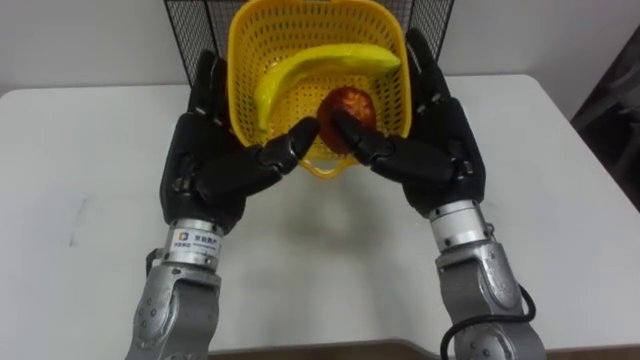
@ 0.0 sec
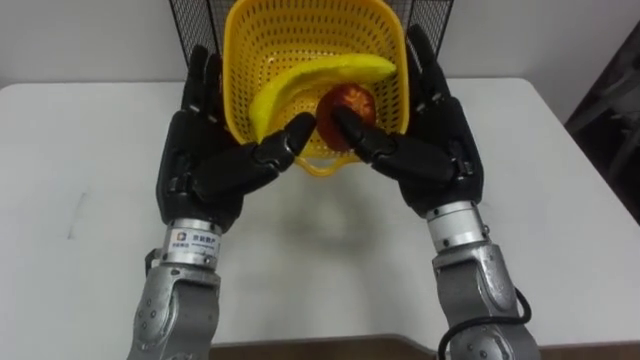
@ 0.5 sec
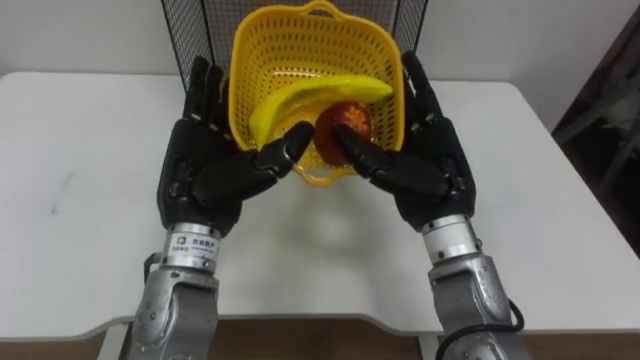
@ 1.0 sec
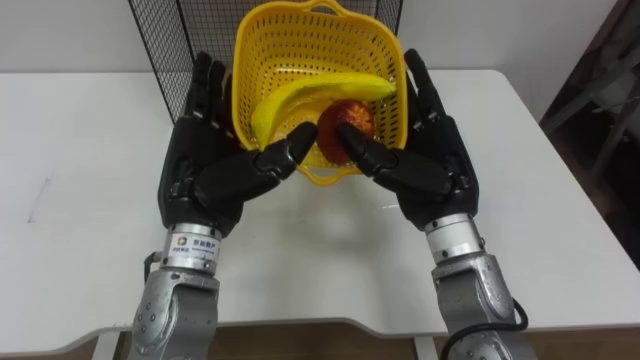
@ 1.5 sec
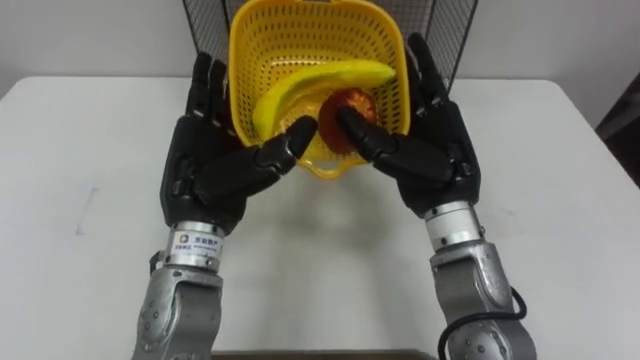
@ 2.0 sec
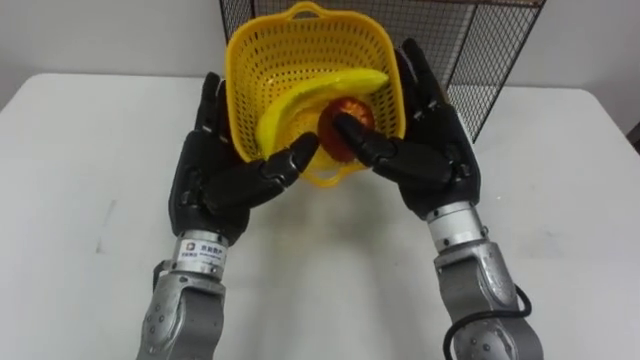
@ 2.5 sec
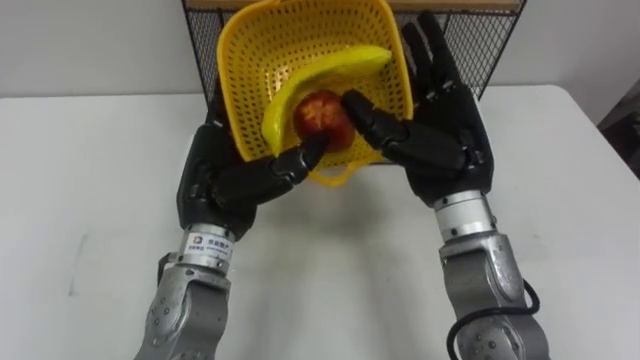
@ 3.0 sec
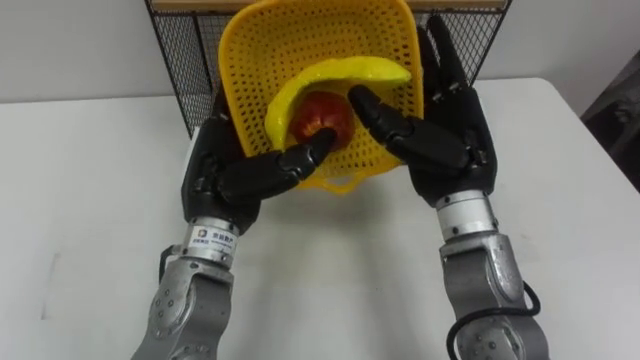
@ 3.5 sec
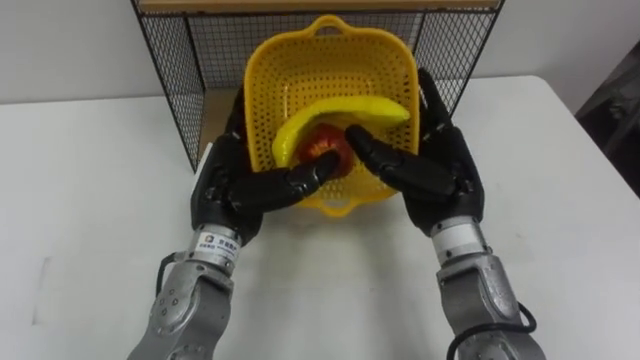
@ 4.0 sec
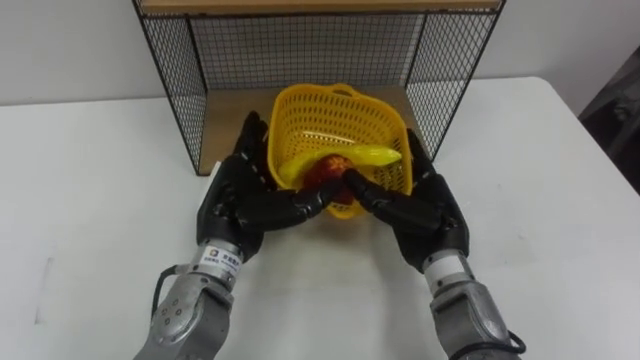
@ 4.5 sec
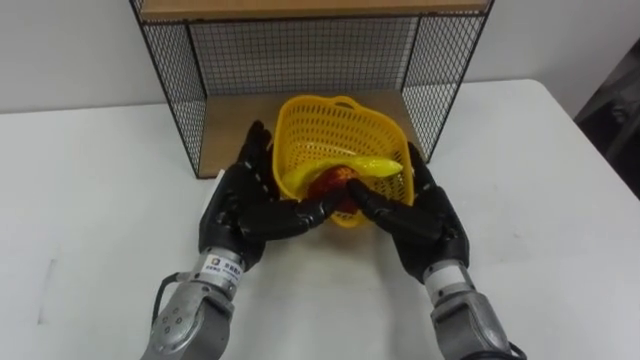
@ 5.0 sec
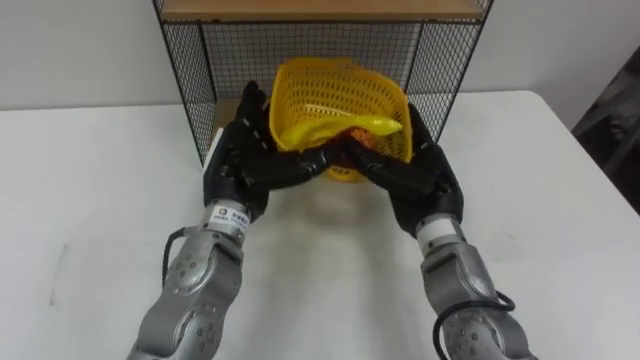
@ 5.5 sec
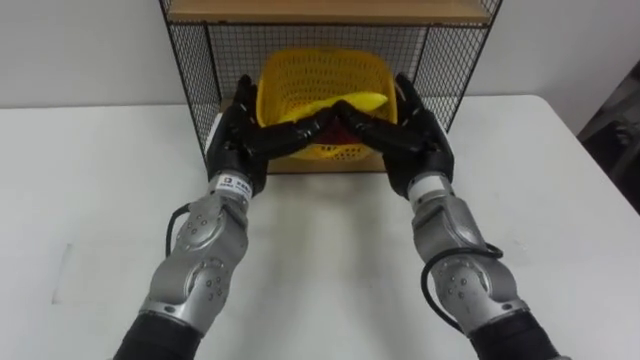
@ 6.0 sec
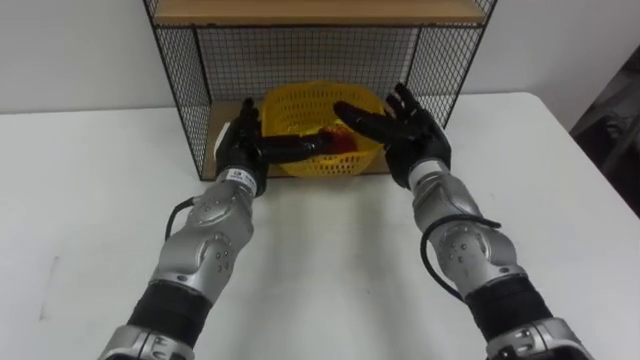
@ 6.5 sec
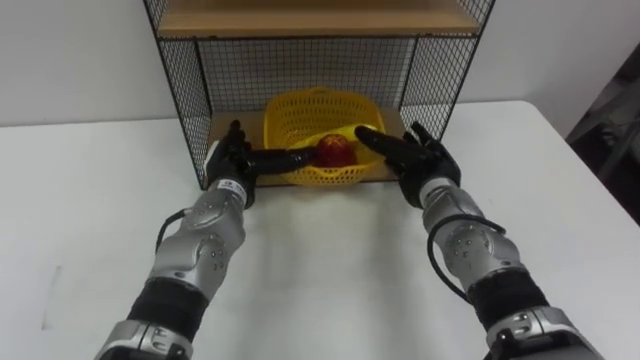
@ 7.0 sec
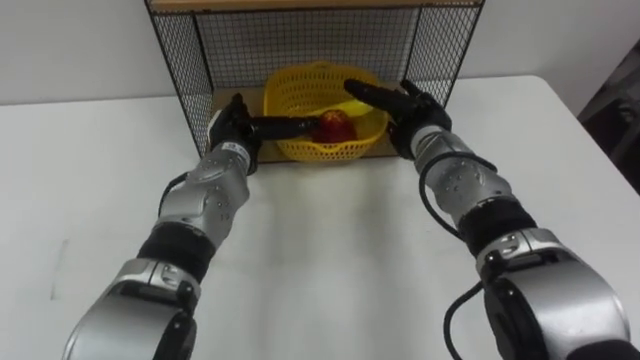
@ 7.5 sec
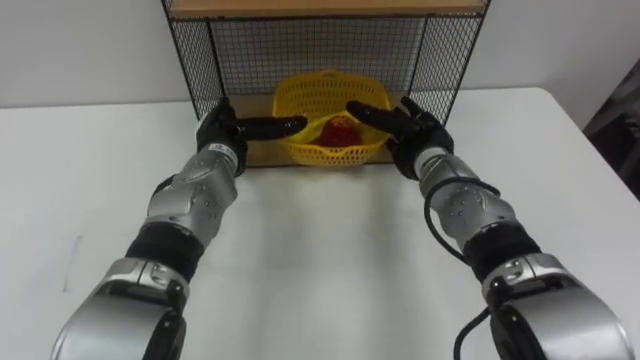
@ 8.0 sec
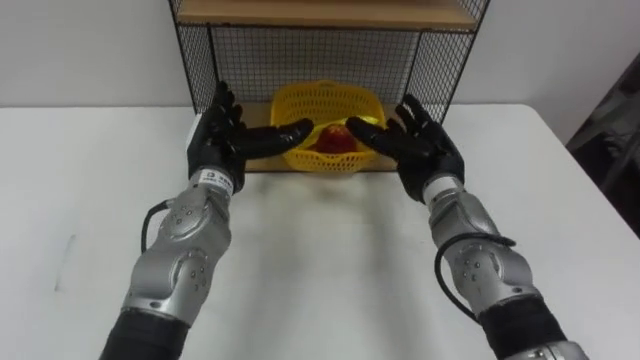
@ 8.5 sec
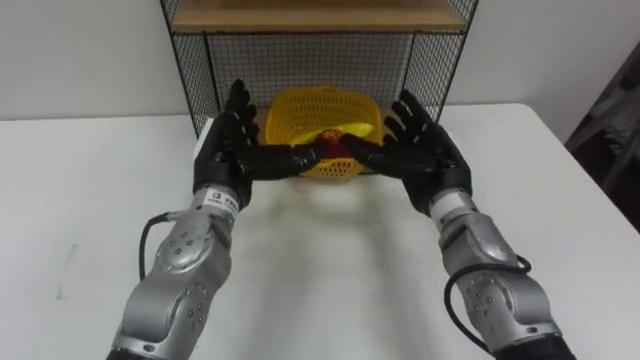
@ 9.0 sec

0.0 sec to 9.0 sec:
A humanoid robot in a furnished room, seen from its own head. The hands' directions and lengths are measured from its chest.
Task of the whole recording: Put the fruit on the table into the basket, then place the basket on the shelf.
2.0 sec to 4.5 sec: Both hands travel together downward, roughly 10 cm.
4.5 sec to 7.0 sec: Both hands move forward, some 10 cm.
7.0 sec to 9.0 sec: The left hand shifts approximately 5 cm upward, while the right hand changes place by approximately 5 cm.

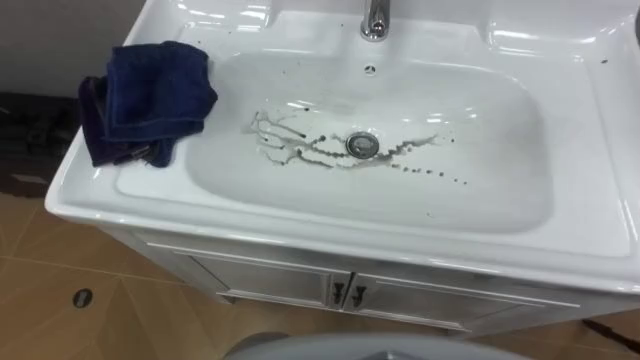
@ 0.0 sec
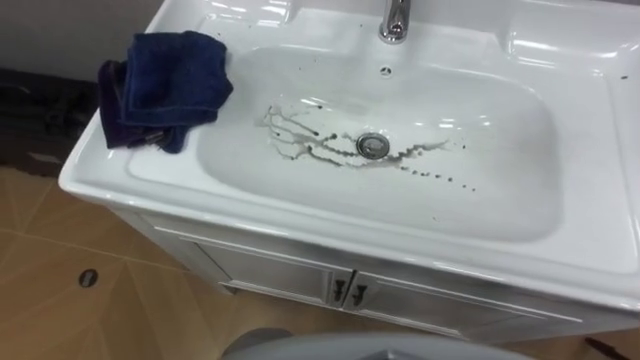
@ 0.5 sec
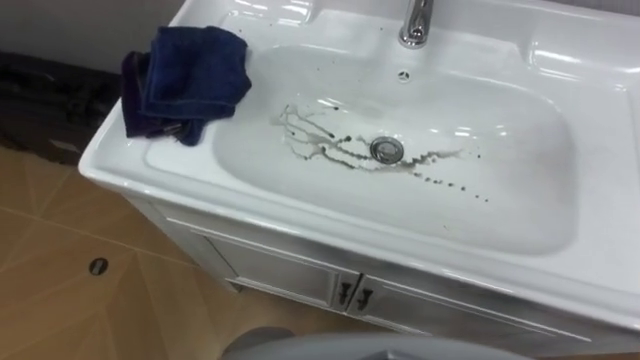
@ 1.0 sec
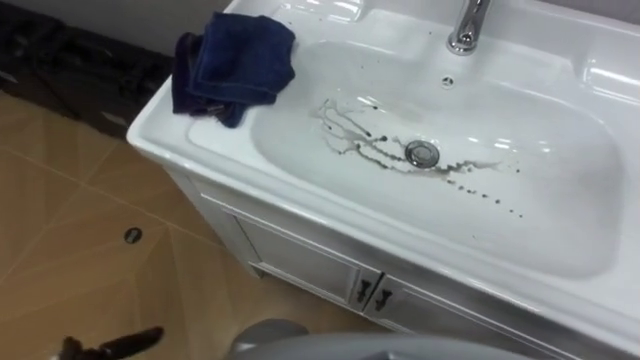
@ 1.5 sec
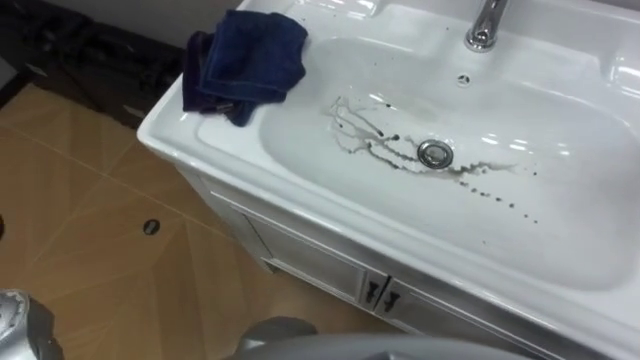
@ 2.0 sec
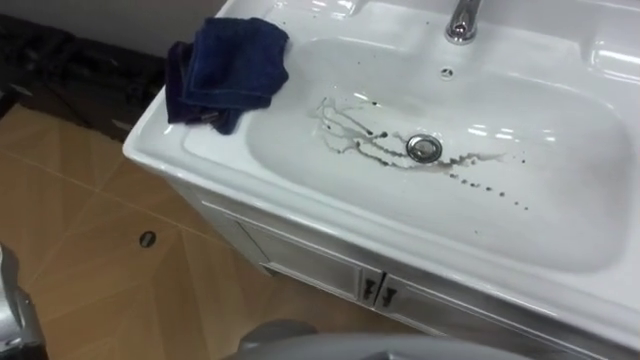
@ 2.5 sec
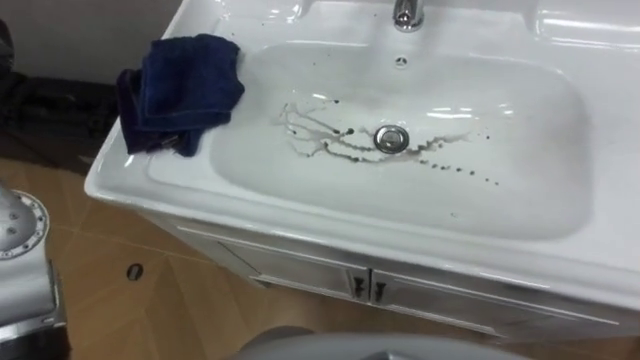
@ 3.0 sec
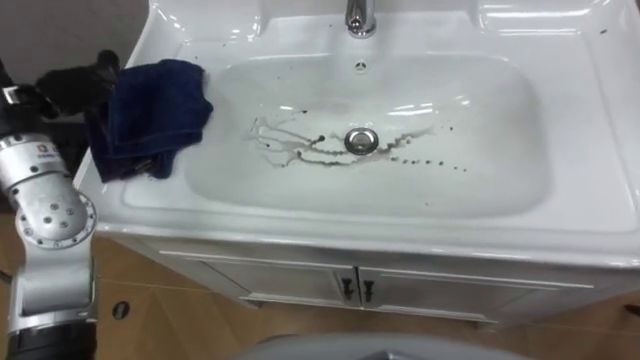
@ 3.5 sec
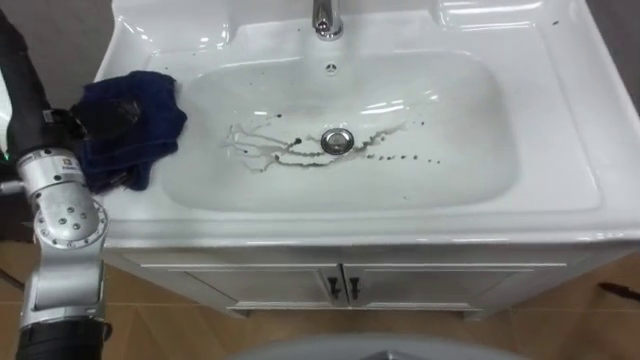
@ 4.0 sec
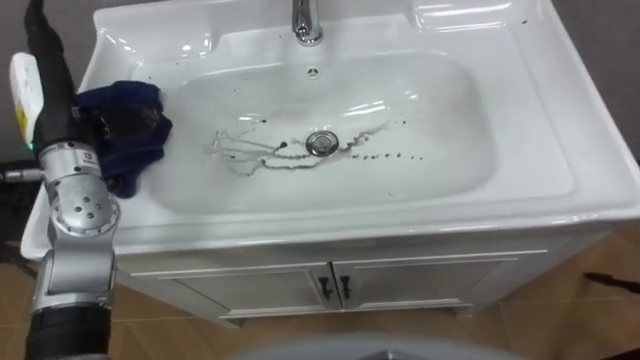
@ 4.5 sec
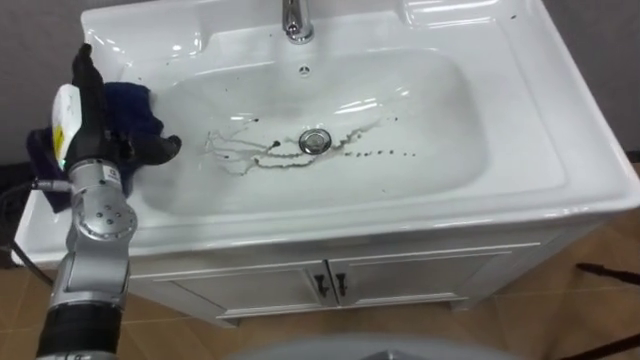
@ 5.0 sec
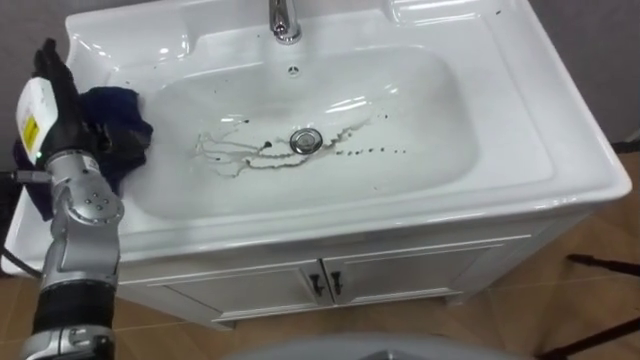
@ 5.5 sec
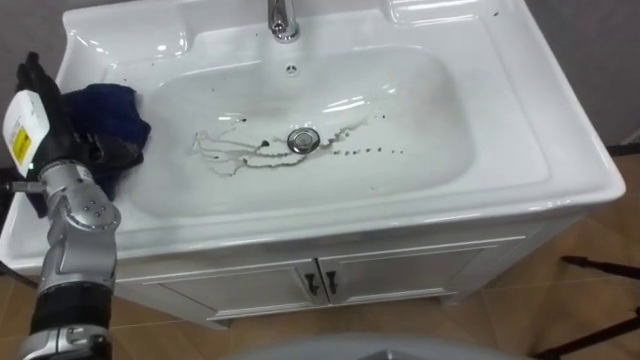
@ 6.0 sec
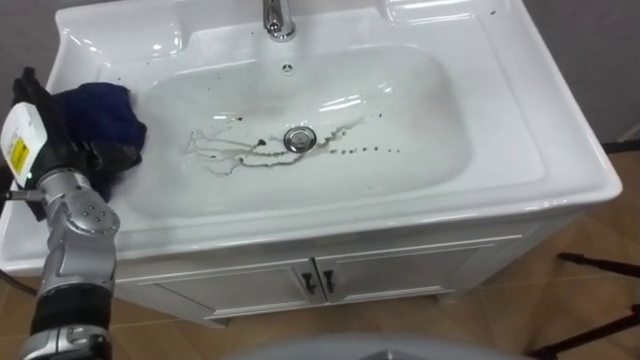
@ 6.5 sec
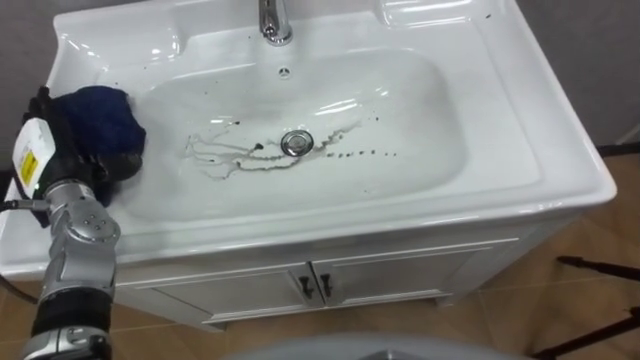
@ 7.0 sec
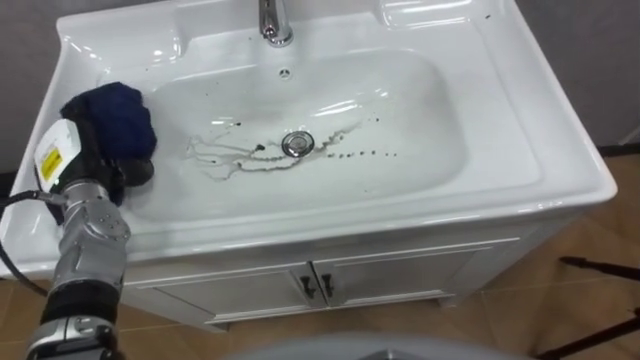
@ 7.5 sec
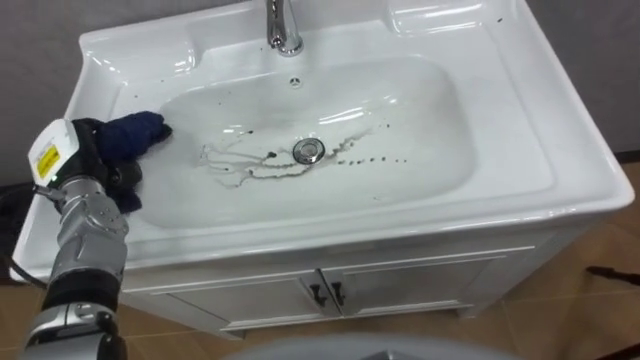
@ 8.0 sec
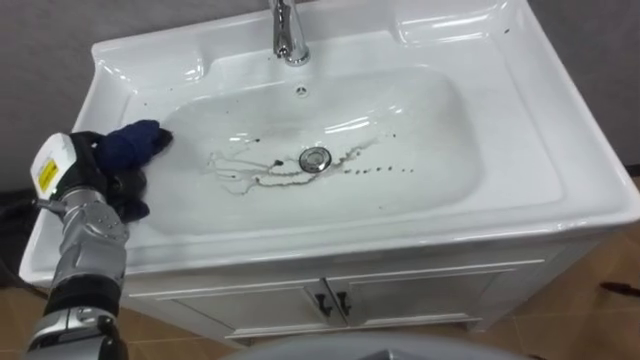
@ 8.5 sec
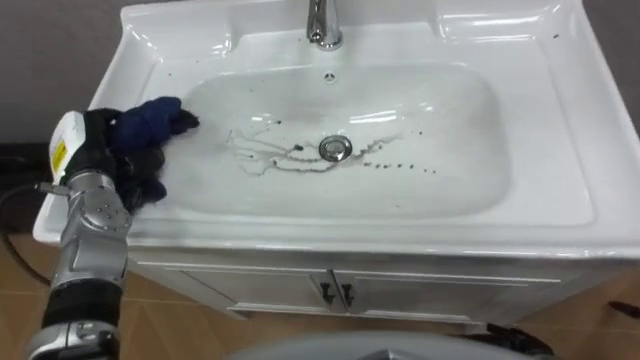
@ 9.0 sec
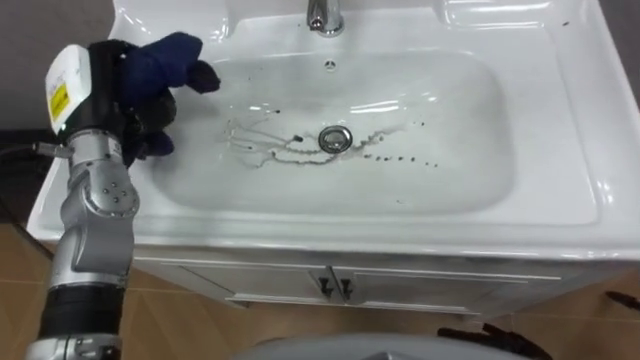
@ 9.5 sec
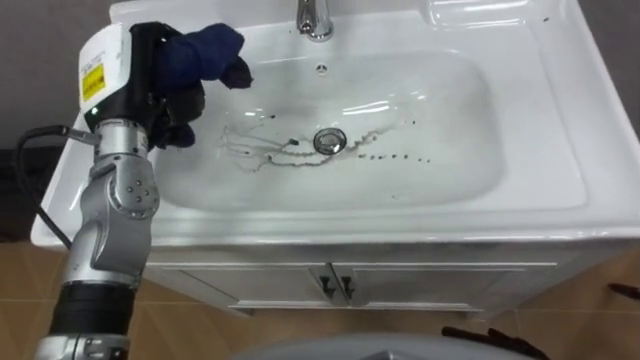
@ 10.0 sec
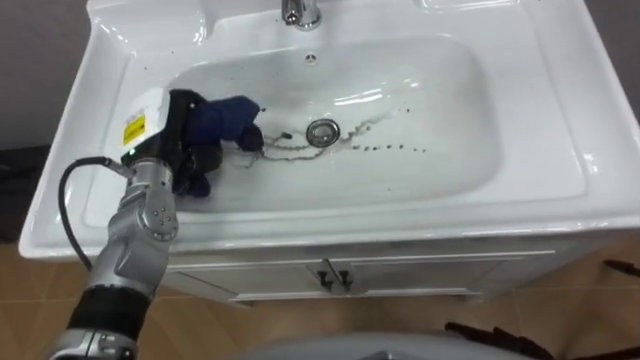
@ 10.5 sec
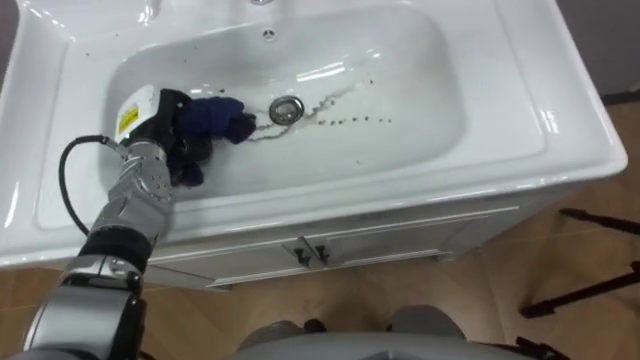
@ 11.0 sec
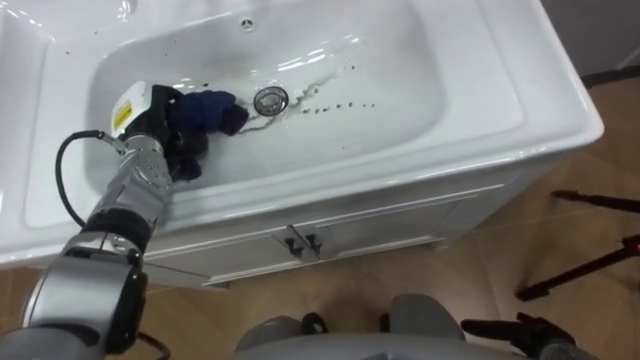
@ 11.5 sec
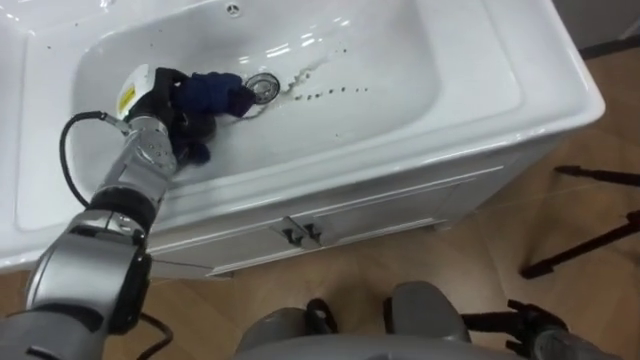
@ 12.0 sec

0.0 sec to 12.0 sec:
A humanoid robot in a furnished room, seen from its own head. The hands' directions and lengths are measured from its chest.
Task of the whole recording: Use the cloth on the right to wipe away the black stain in the sink.
4.0 sec to 6.0 sec: The left hand goes some 5 cm downward.
6.0 sec to 8.0 sec: The left hand goes about 5 cm downward, and closes up.
8.0 sec to 10.0 sec: The left hand travels upward and to the right by approximately 15 cm.
10.0 sec to 12.0 sec: The left hand is displaced downward and forward by some 10 cm.
